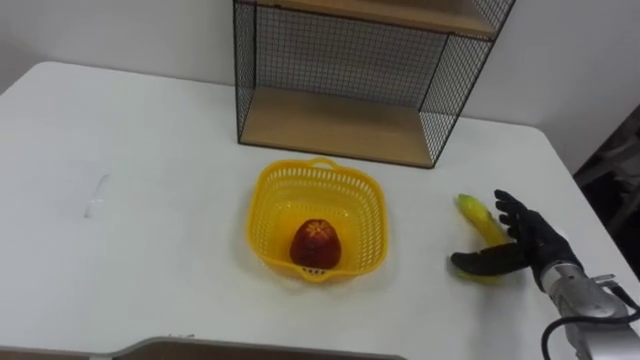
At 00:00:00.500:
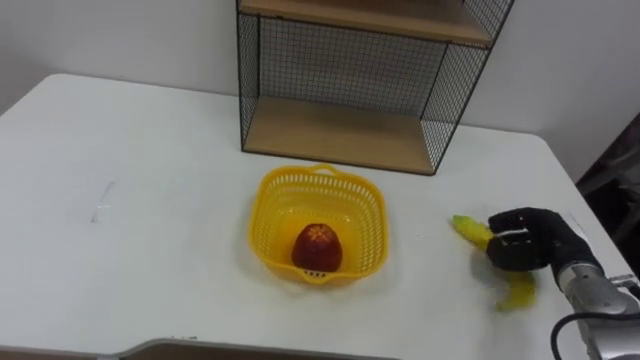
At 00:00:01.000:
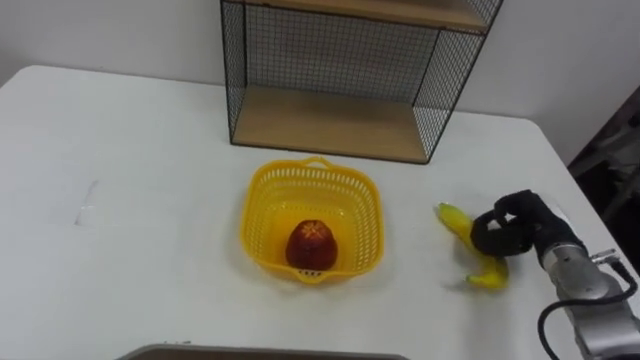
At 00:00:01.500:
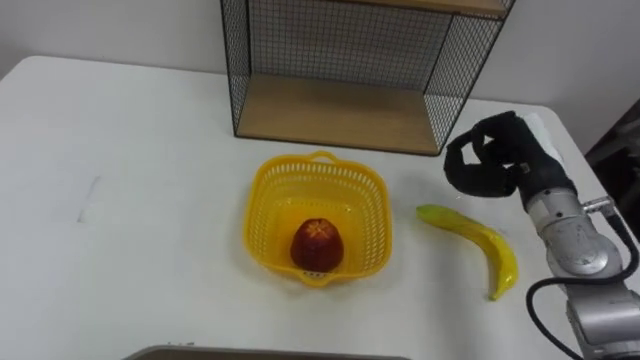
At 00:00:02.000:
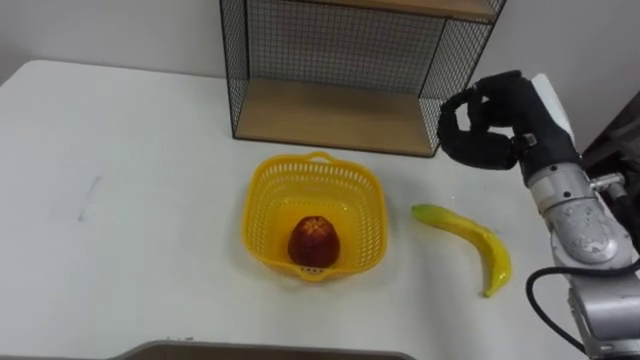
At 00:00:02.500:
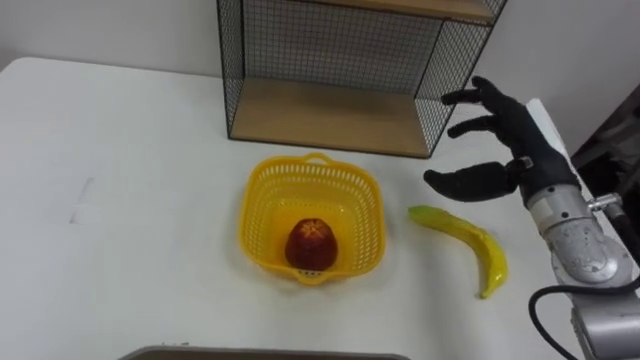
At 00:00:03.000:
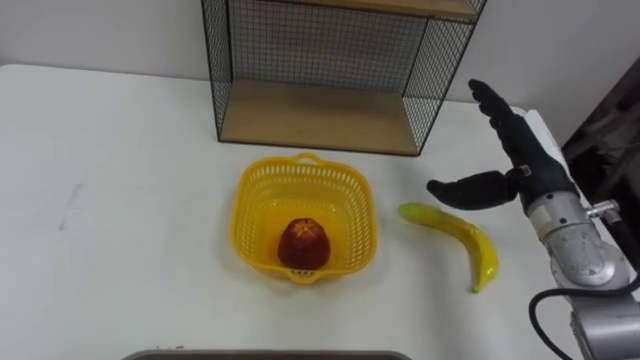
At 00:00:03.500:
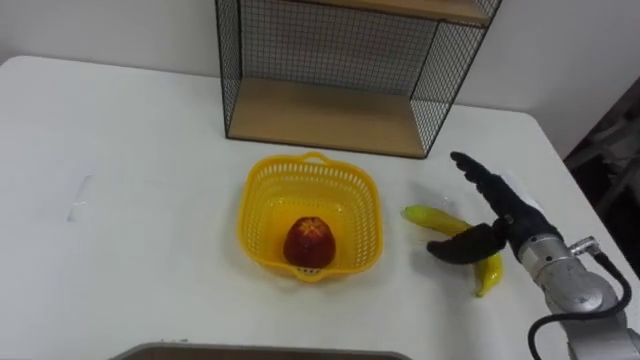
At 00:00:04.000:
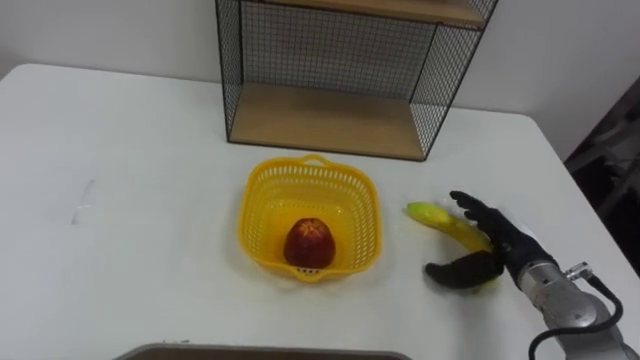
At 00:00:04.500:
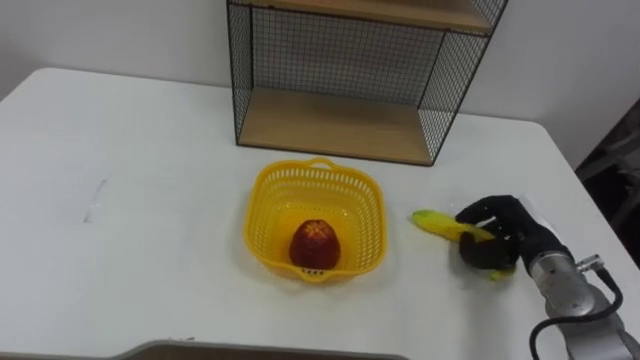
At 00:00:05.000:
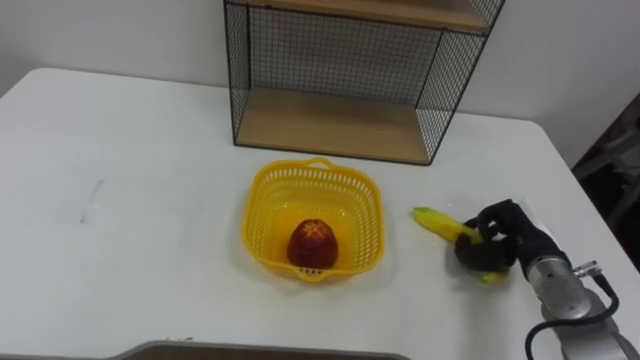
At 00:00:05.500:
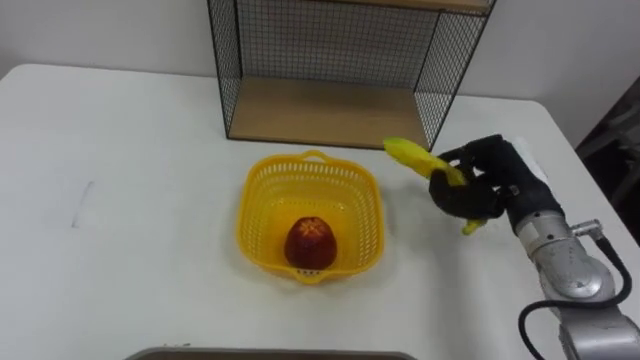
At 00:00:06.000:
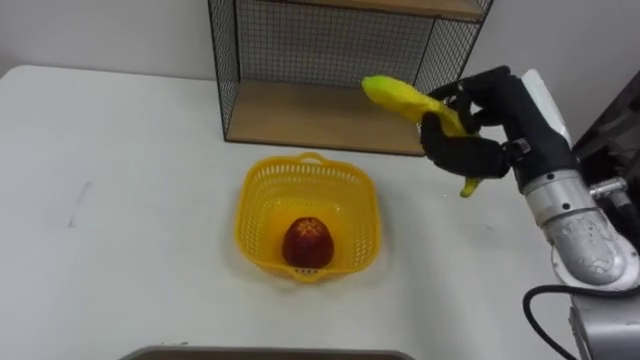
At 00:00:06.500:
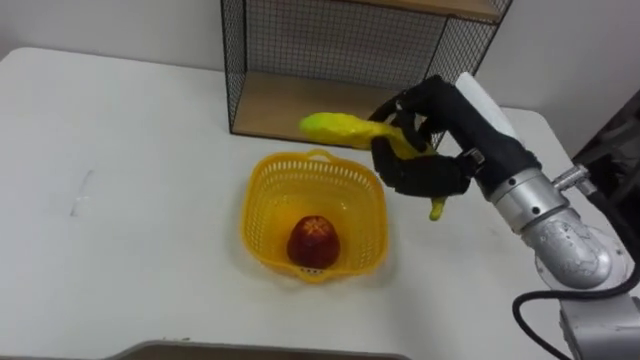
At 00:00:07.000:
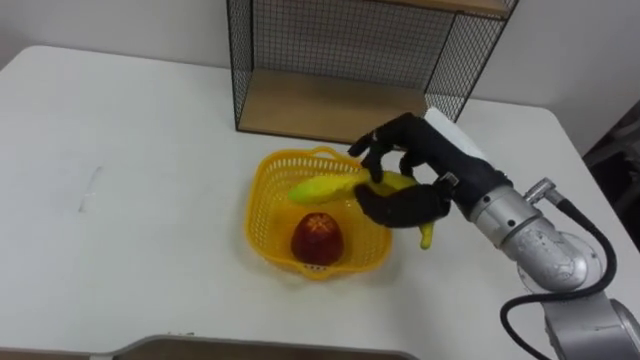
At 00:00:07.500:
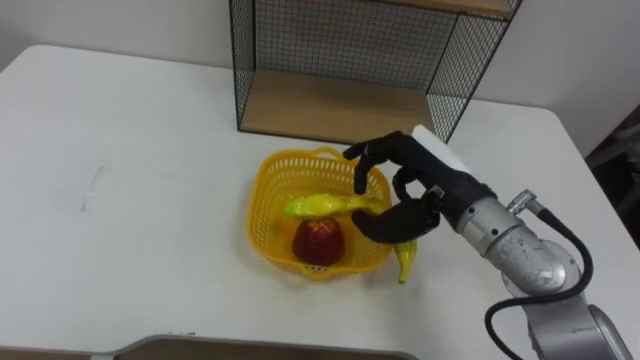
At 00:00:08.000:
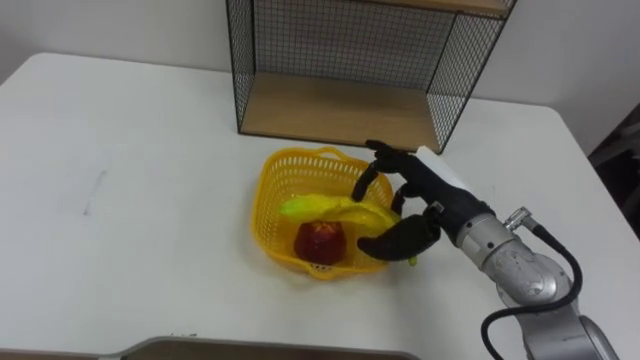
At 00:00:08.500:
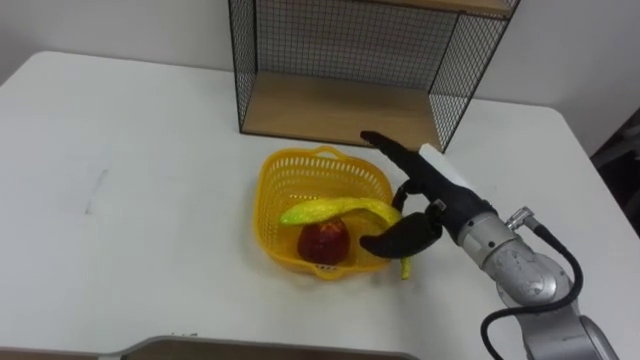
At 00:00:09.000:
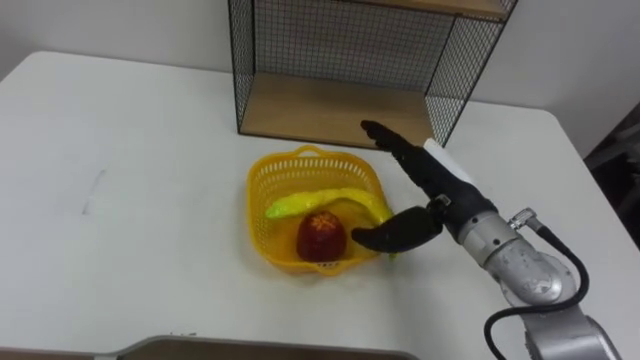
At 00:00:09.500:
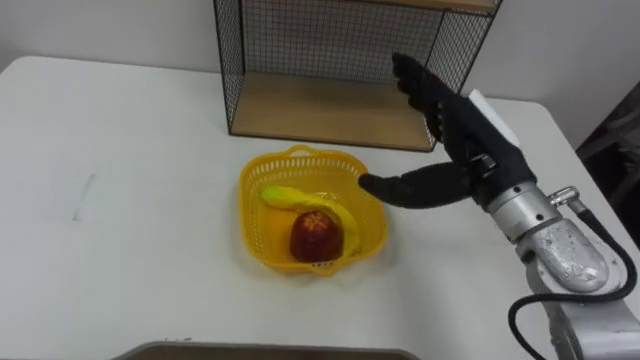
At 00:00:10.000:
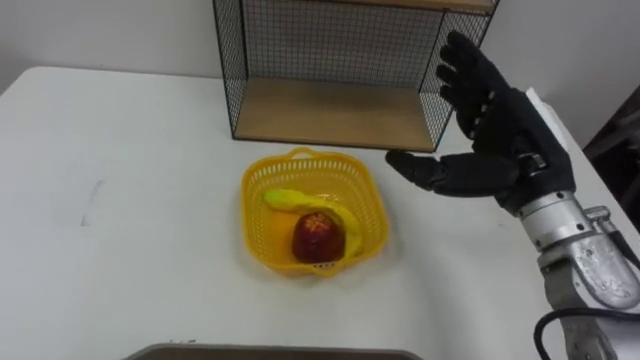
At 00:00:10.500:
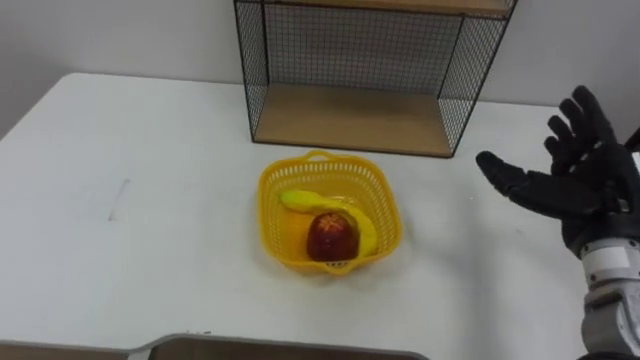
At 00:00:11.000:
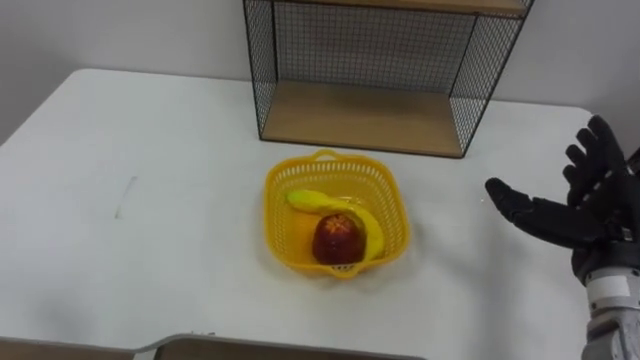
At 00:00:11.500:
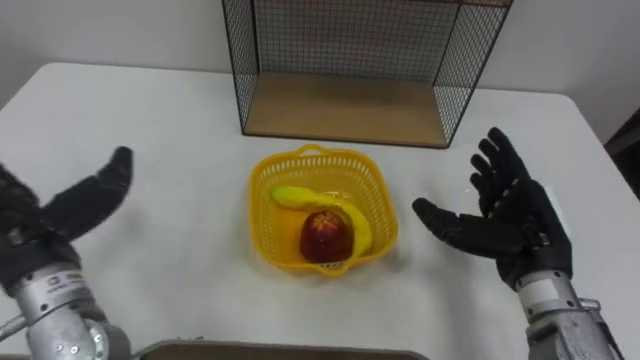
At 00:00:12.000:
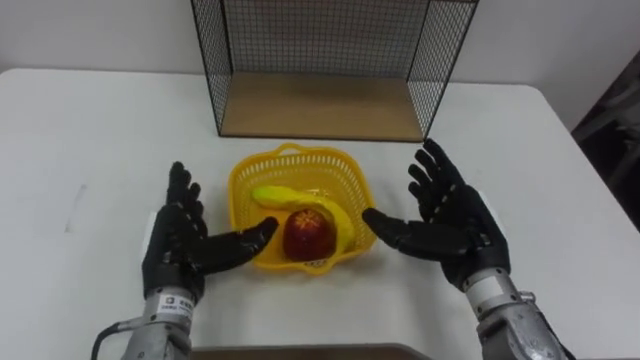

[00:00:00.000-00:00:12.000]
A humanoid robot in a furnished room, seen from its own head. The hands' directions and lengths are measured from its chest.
Task of the whole recording: Put the fruit on the table into the basket, then place the basket on the shelf.
00:00:00.000 to 00:00:02.000: The right hand goes about 20 cm upward, and closes.
00:00:02.000 to 00:00:04.000: The right hand goes some 15 cm downward, and opens its fingers.
00:00:04.000 to 00:00:06.000: The right hand moves upward, about 20 cm, and closes up.
00:00:06.000 to 00:00:08.000: The right hand is displaced downward and to the left by about 10 cm, and opens up.
00:00:08.000 to 00:00:10.000: The right hand shifts about 10 cm upward and to the right.
00:00:10.000 to 00:00:12.000: The right hand moves downward, roughly 10 cm, and moves some 10 cm to the right and comes back.

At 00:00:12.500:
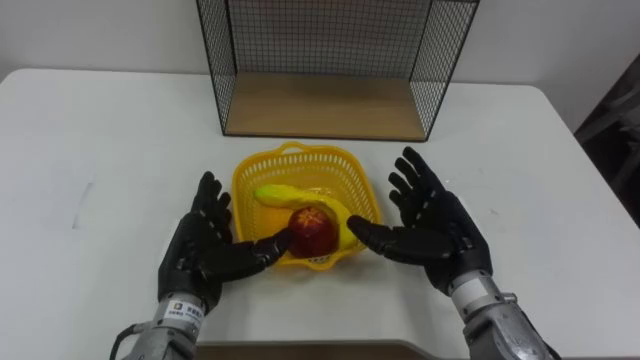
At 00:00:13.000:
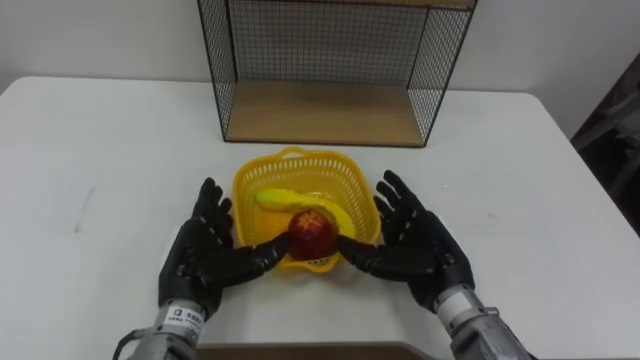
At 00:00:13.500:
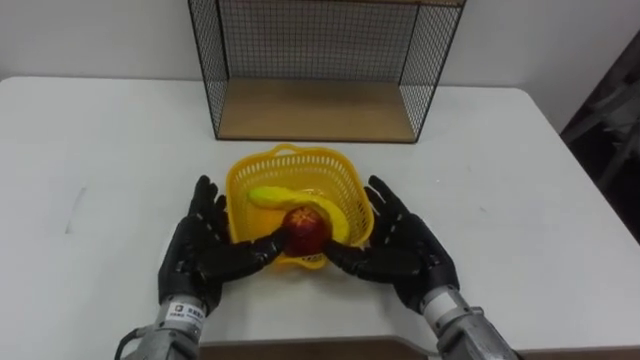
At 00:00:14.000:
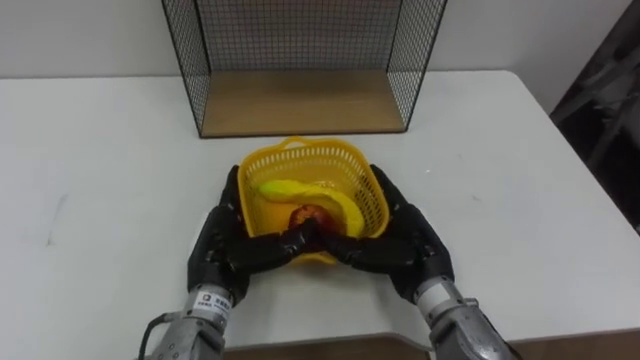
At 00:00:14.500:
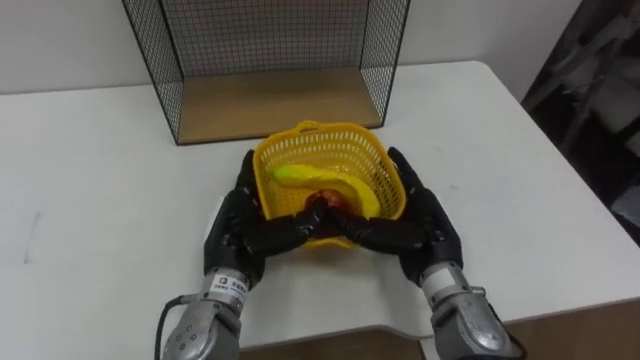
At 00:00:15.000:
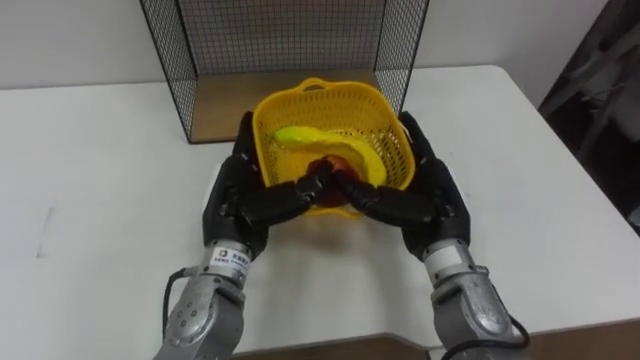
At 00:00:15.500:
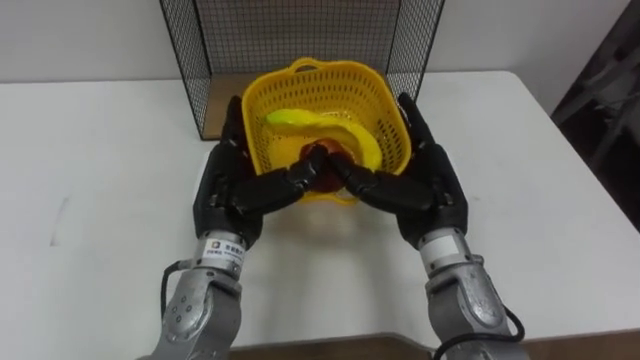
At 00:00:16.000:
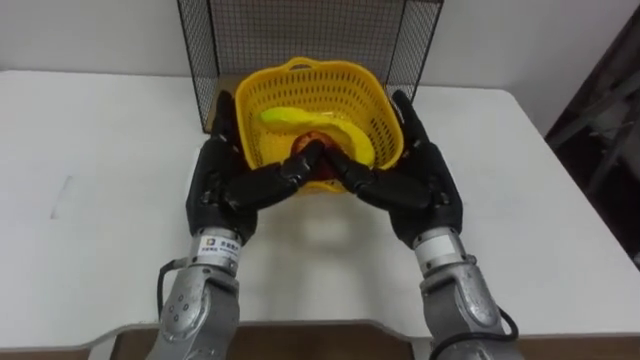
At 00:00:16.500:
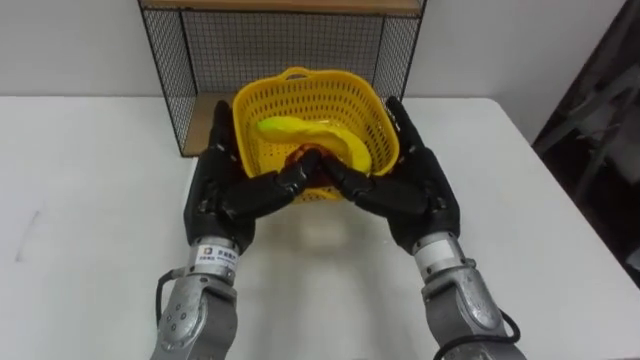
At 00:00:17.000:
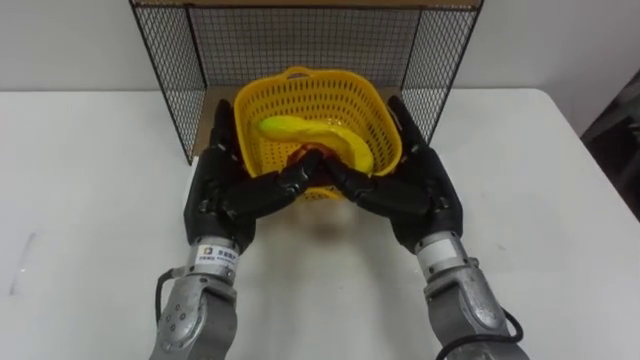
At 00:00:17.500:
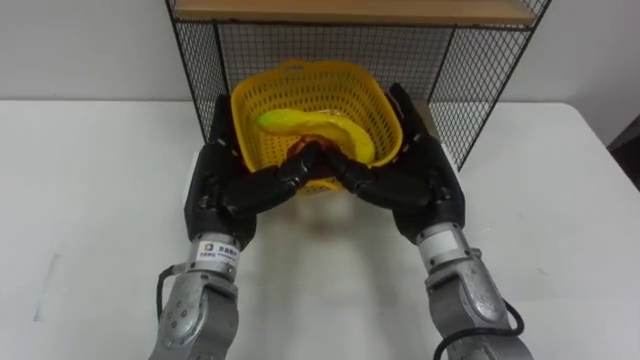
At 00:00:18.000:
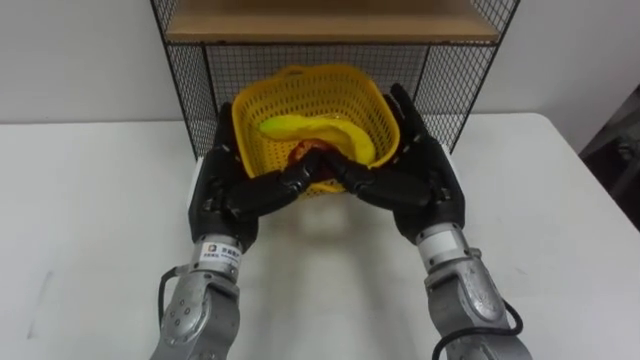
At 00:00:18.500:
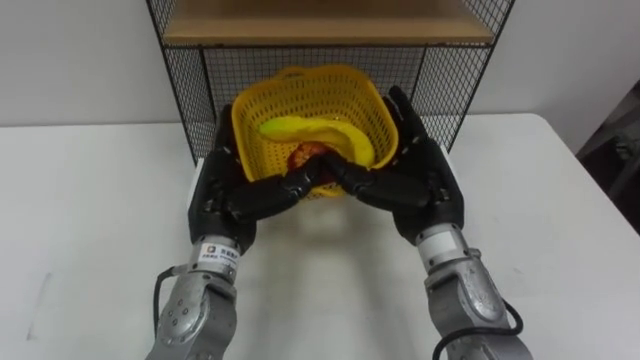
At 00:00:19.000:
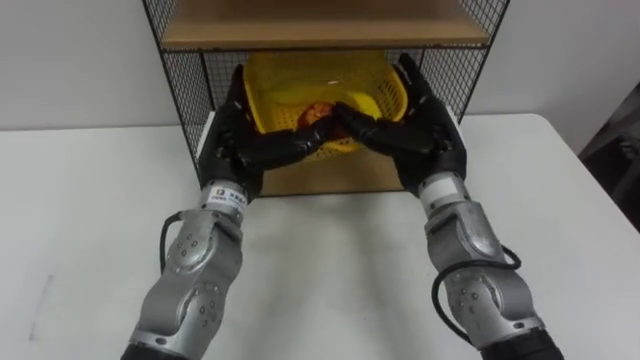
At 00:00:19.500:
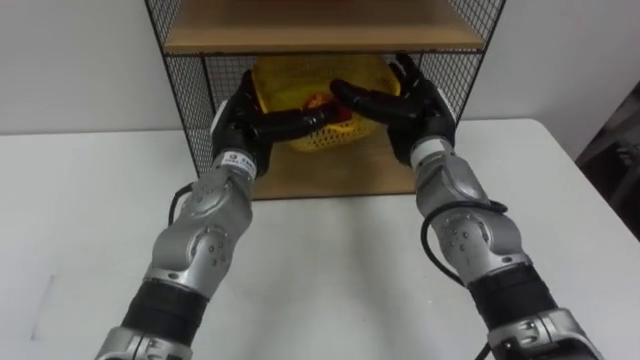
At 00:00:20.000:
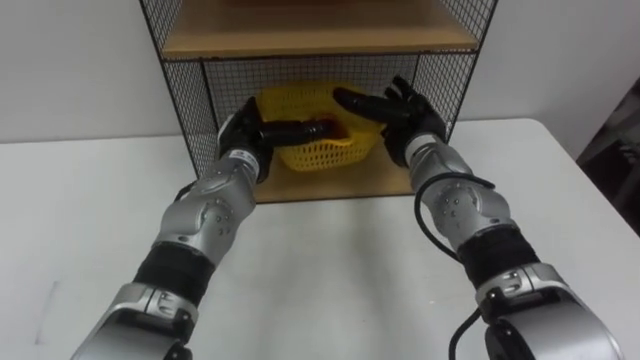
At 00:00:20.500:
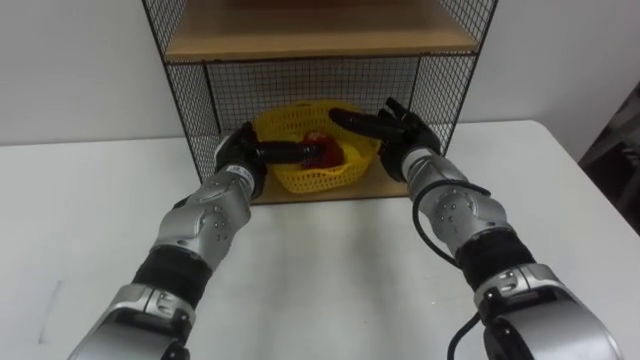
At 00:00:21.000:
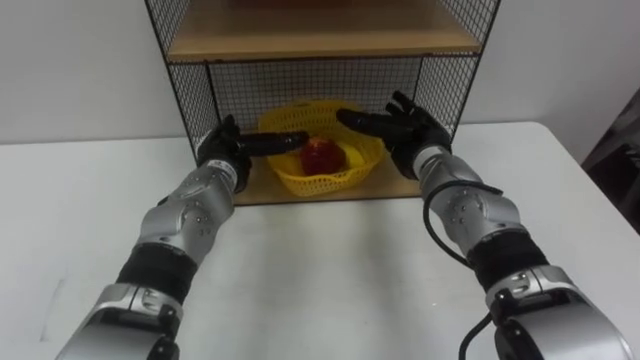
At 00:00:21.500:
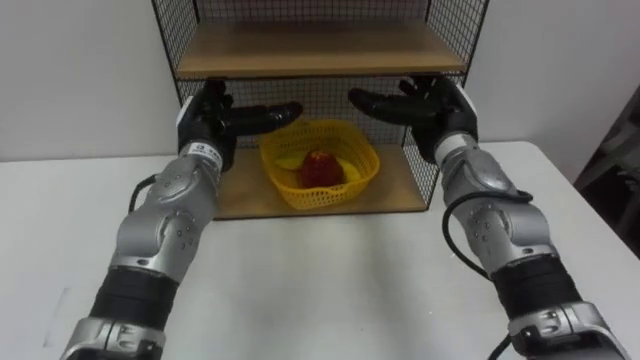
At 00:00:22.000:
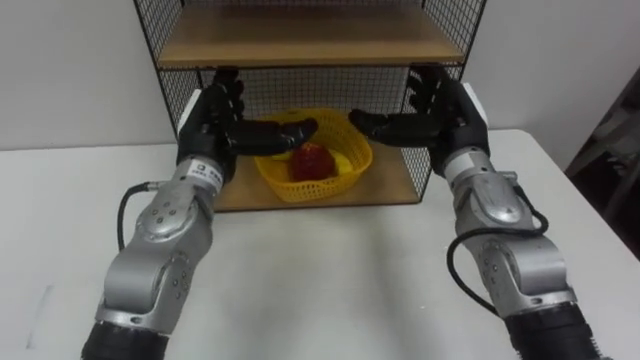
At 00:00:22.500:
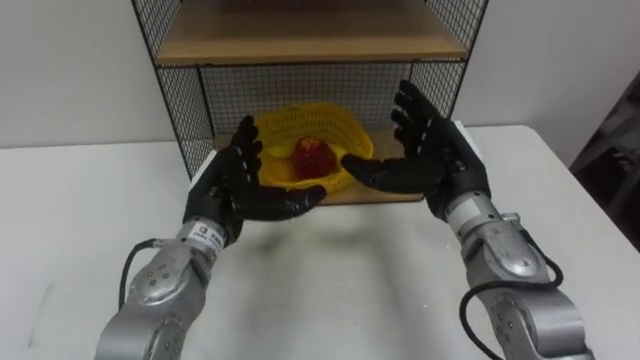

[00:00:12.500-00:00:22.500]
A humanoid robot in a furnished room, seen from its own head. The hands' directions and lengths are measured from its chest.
Task of the whole recording: Put the fruit on the table into the basket, then place the basket on the shelf.
00:00:12.500 to 00:00:14.500: The left hand moves to the right, about 5 cm.
00:00:14.500 to 00:00:16.500: Both hands travel together upward, roughly 5 cm.
00:00:18.500 to 00:00:20.500: The left hand travels forward and downward by some 10 cm; the right hand goes some 10 cm forward.
00:00:20.500 to 00:00:22.500: The left hand travels backward by some 10 cm, while the right hand shifts roughly 10 cm backward and upward.
